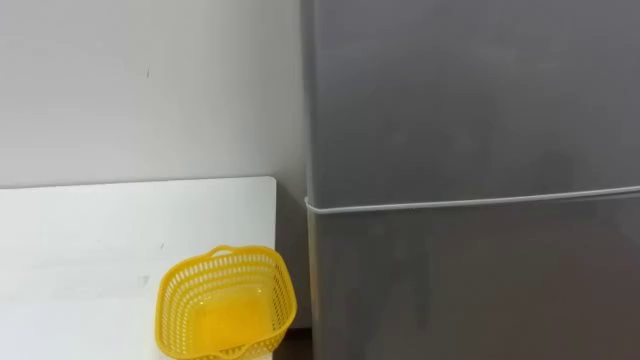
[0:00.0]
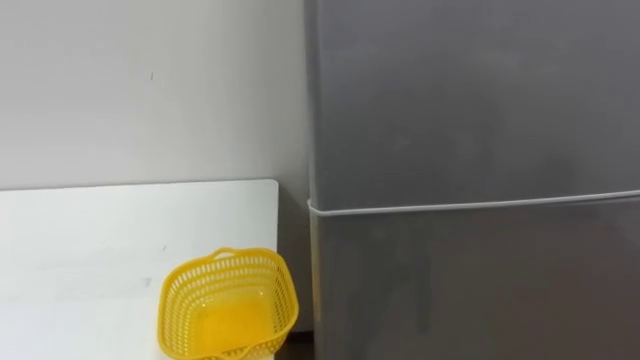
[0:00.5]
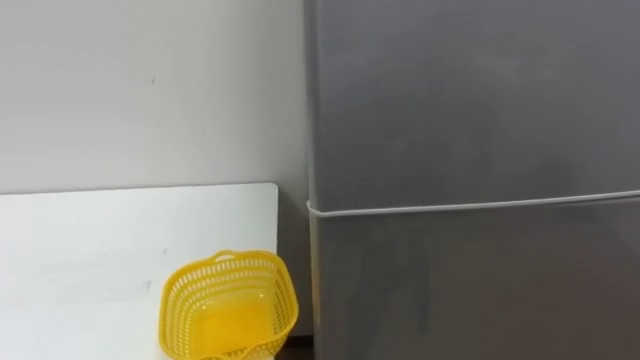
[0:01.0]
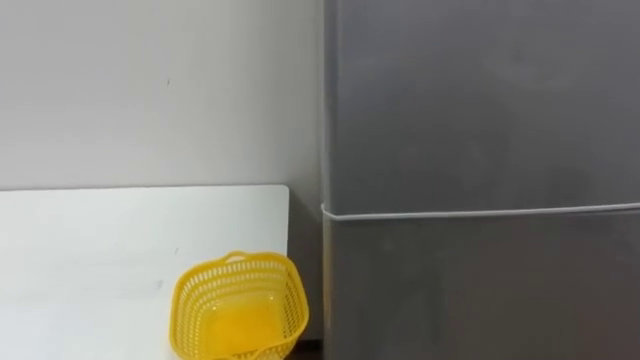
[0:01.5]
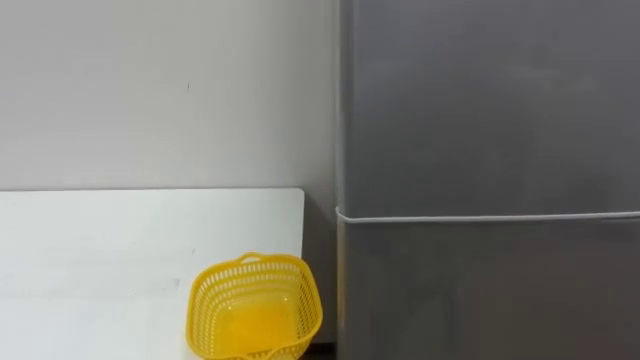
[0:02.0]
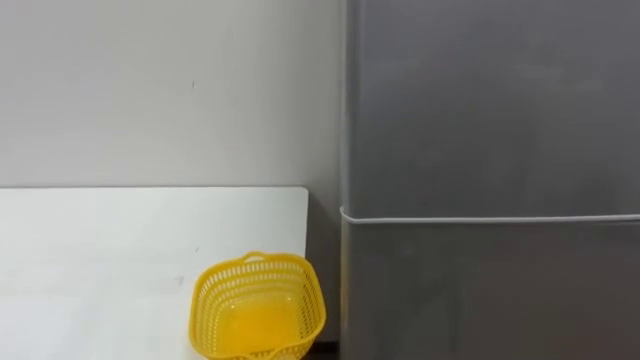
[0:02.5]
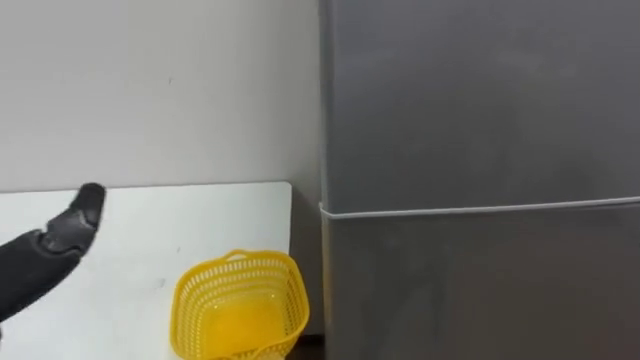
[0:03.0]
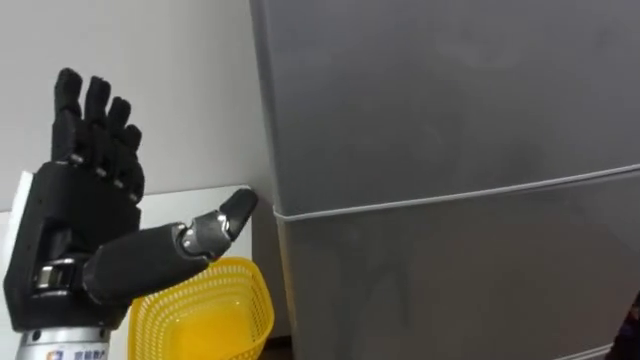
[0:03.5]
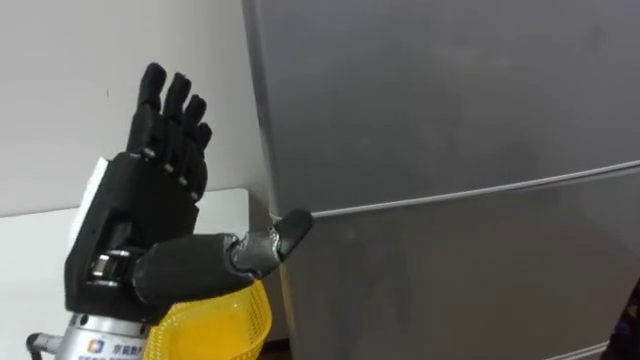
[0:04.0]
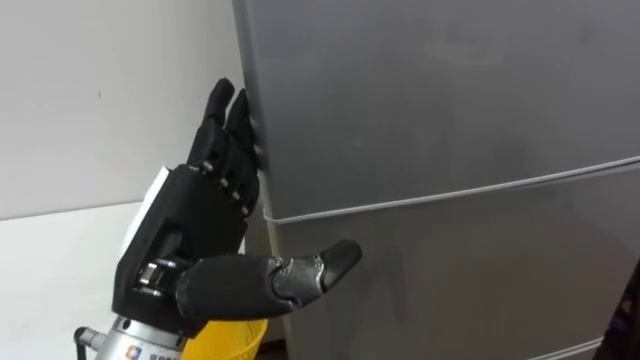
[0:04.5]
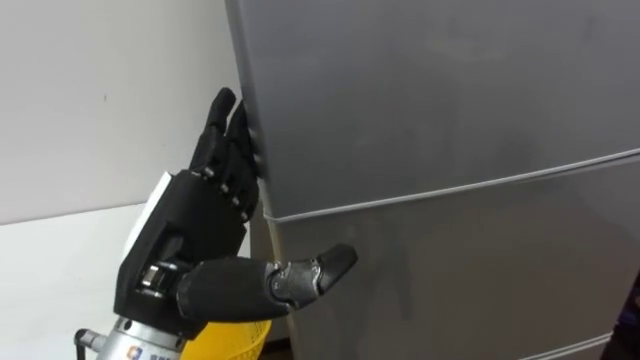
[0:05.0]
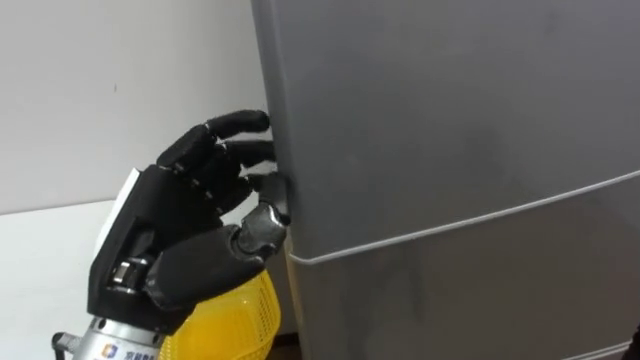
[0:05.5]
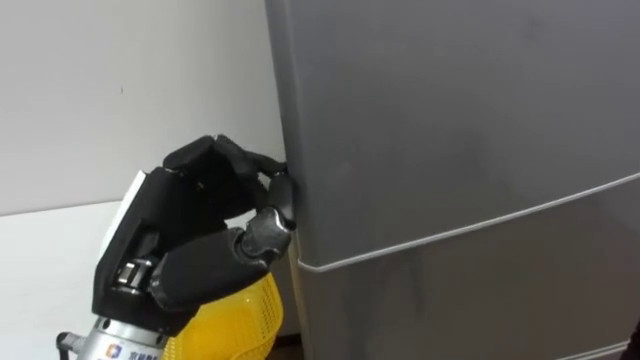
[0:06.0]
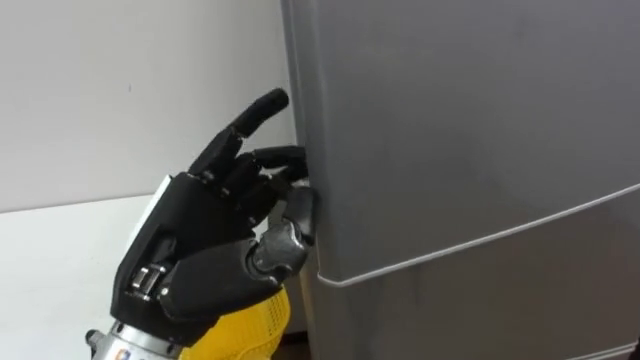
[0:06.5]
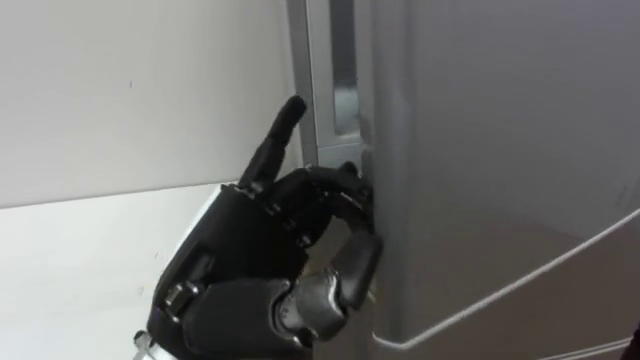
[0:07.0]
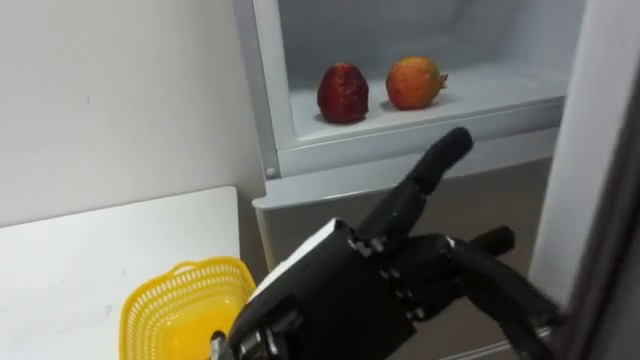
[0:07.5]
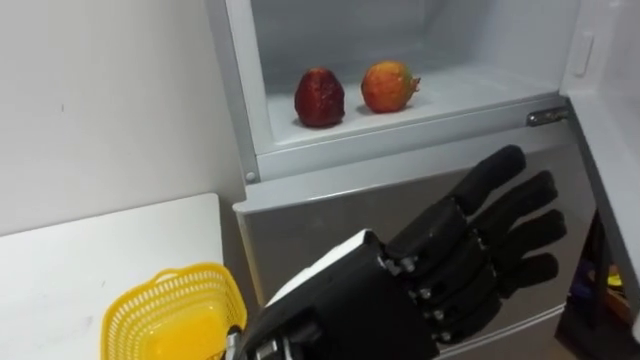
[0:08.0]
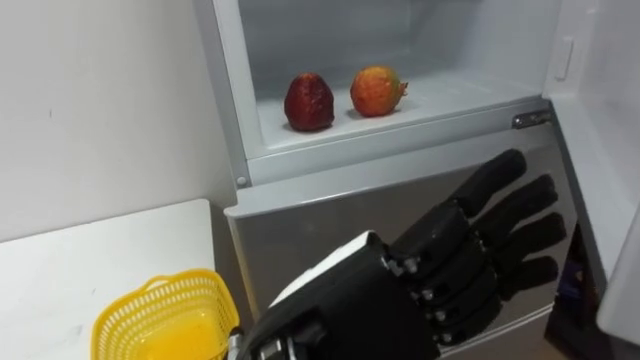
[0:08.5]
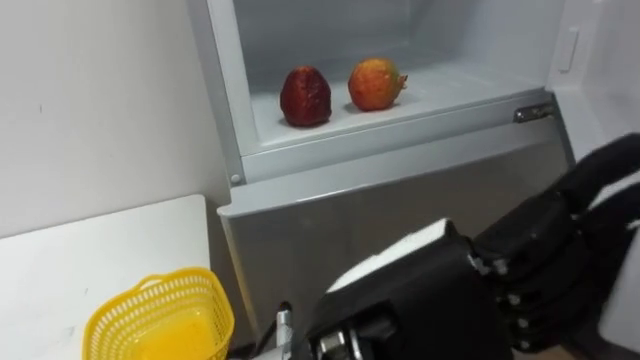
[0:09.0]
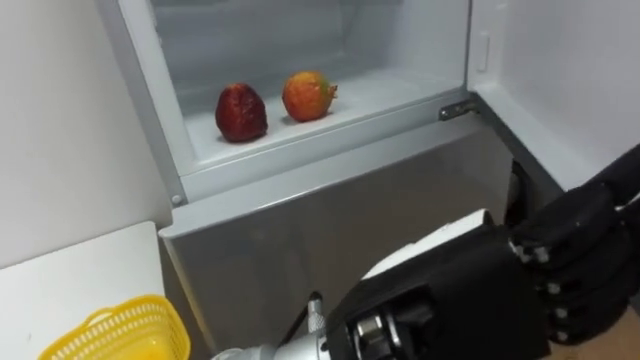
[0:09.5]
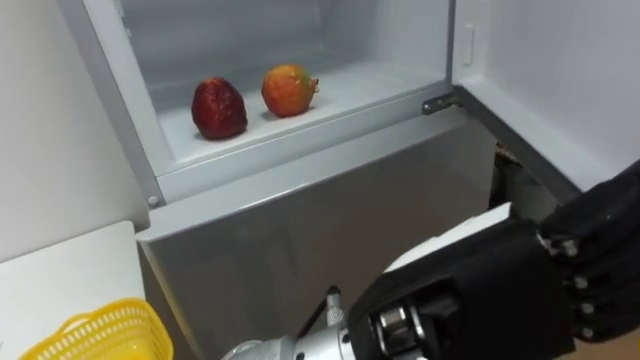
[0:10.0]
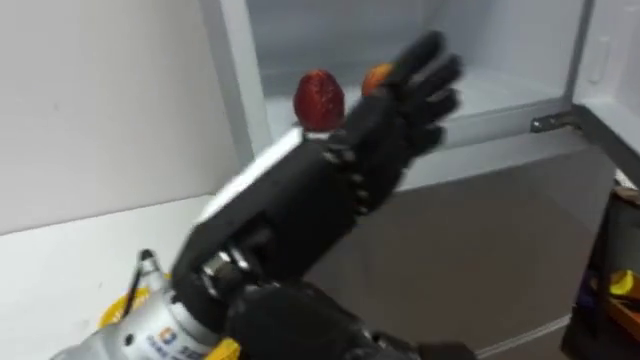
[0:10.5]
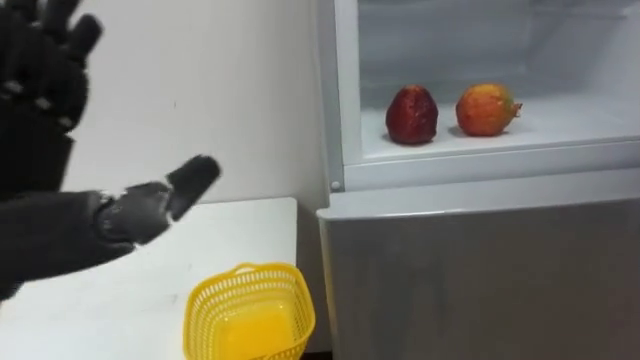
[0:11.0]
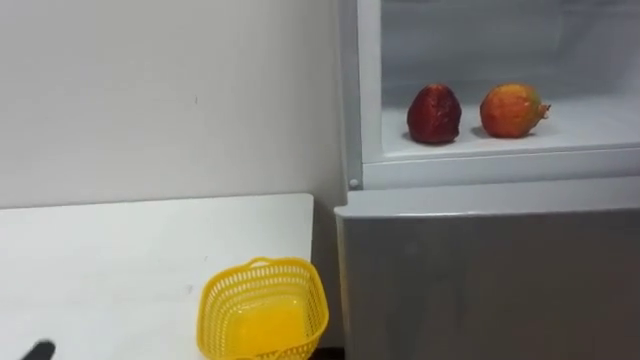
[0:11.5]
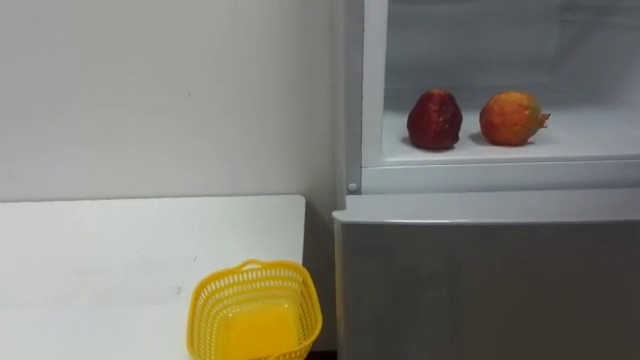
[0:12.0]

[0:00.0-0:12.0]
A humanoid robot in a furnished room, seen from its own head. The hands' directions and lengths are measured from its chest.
Task of the whole recording: Open the refrigerator door, take out the apple and the pomegranate, place them in the fruit basket on the left, and close the refrigerator door.
0:04.0 to 0:06.0: The left hand closes.
0:06.0 to 0:08.0: The left hand shifts approximately 15 cm to the right and backward, and opens up.
0:08.0 to 0:10.0: The left hand heads to the right, covering about 5 cm.

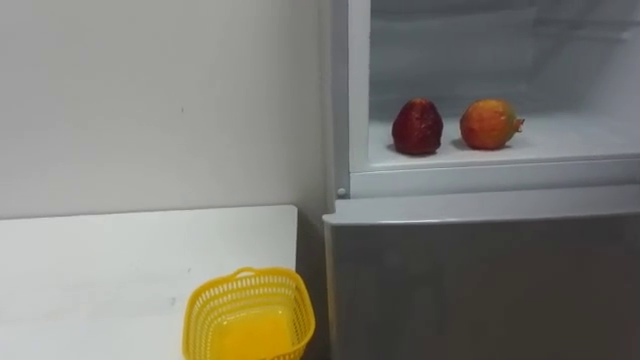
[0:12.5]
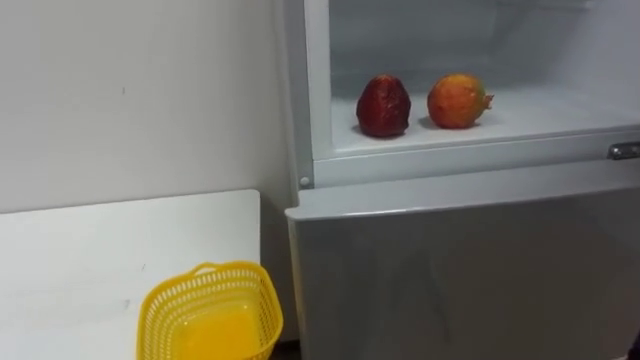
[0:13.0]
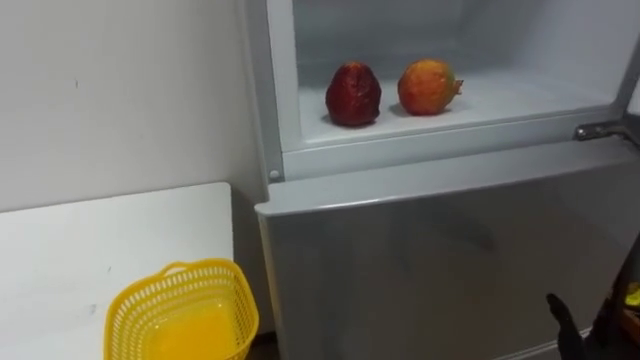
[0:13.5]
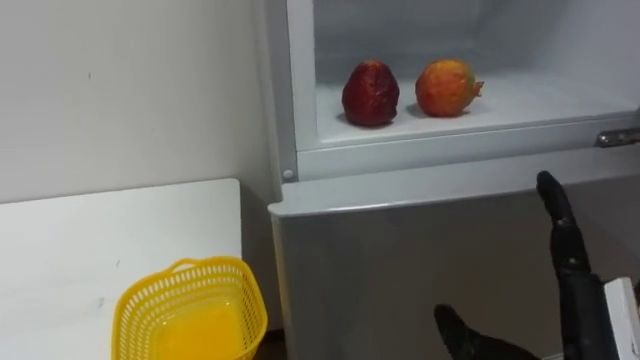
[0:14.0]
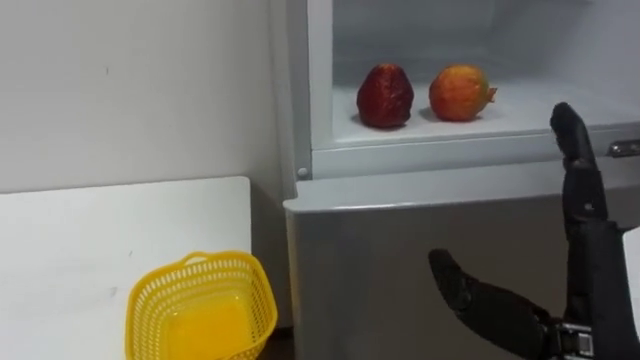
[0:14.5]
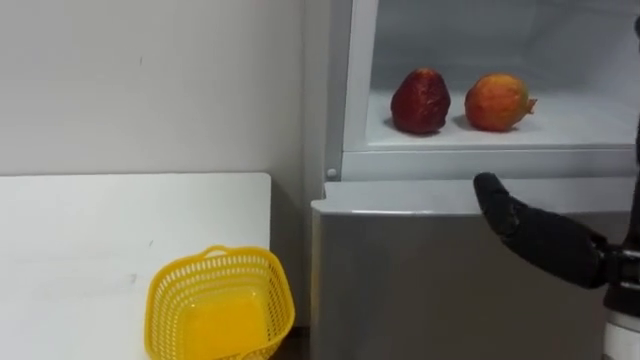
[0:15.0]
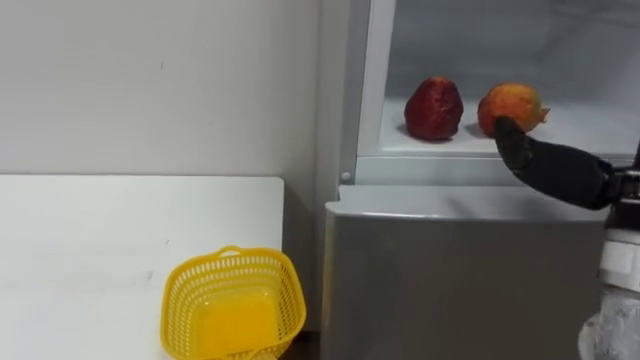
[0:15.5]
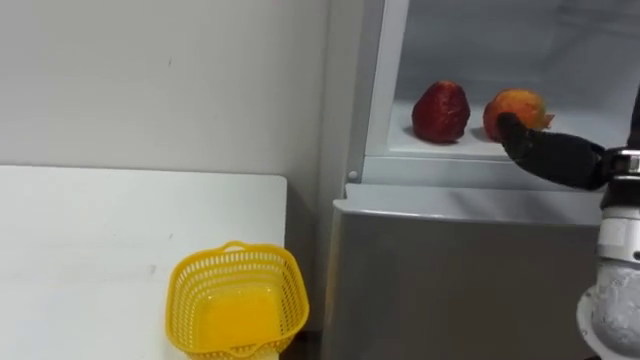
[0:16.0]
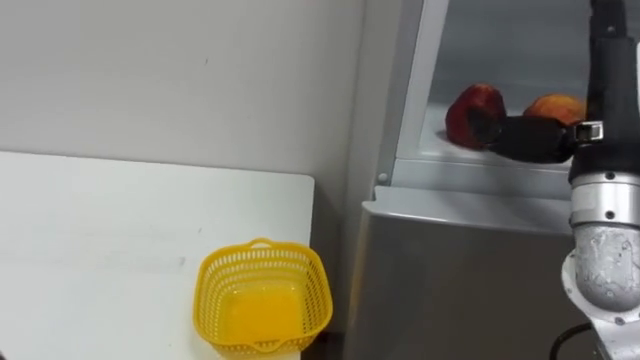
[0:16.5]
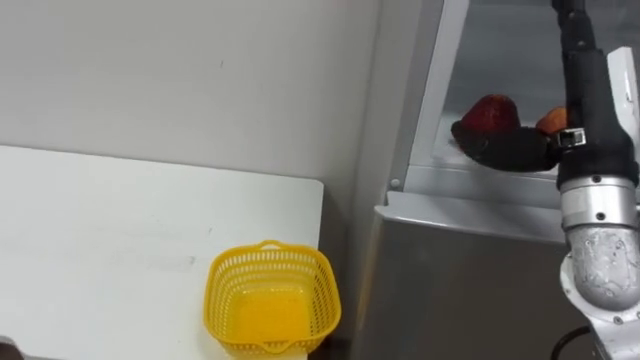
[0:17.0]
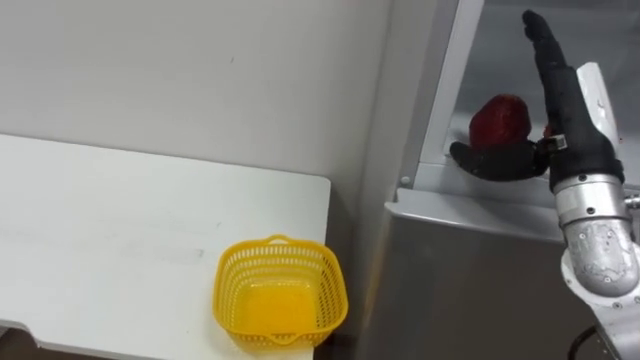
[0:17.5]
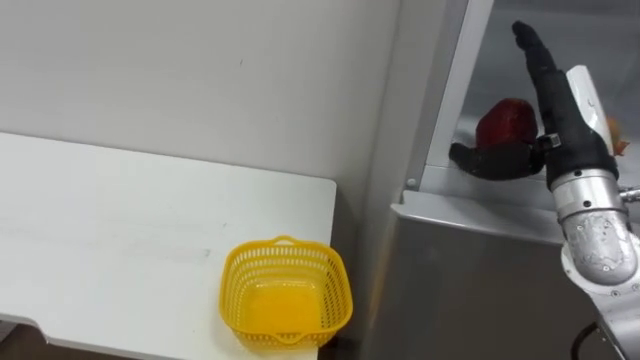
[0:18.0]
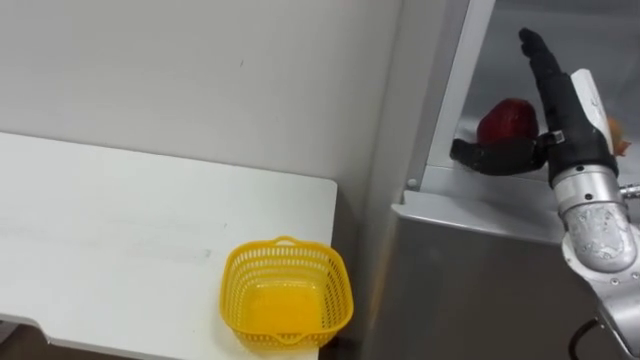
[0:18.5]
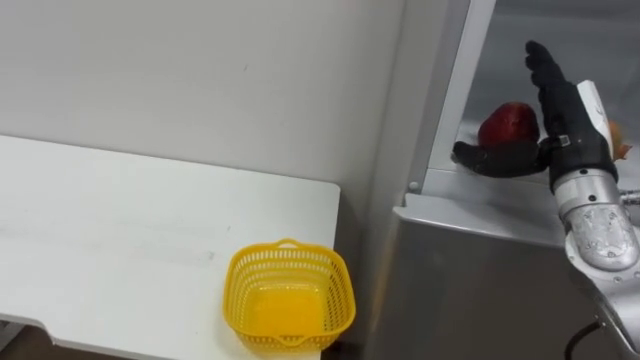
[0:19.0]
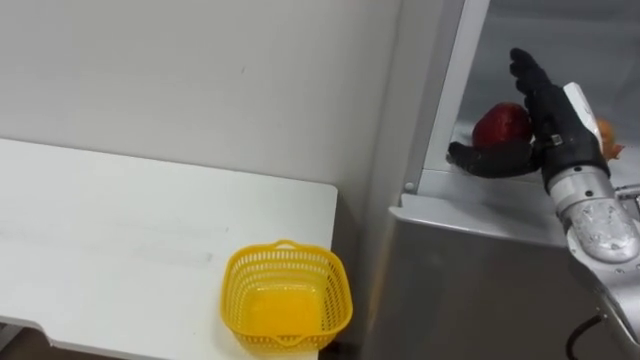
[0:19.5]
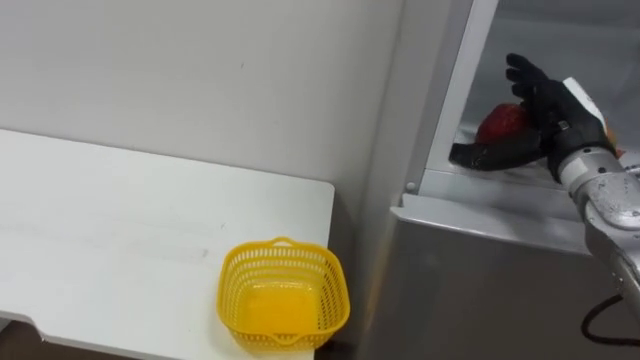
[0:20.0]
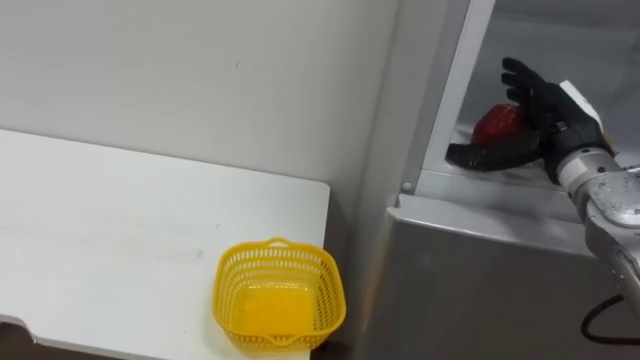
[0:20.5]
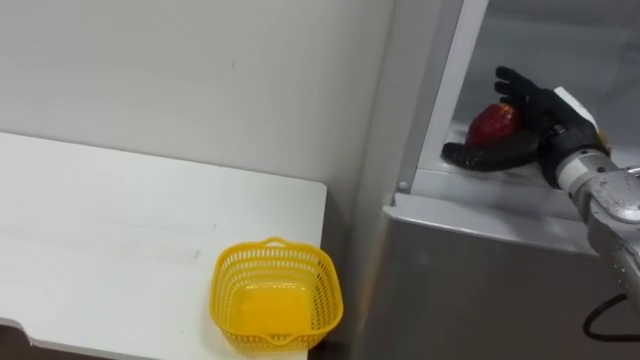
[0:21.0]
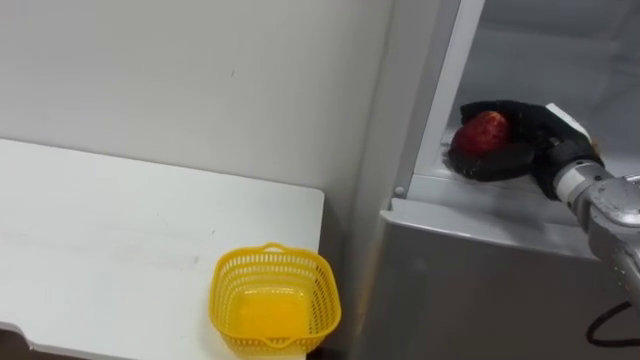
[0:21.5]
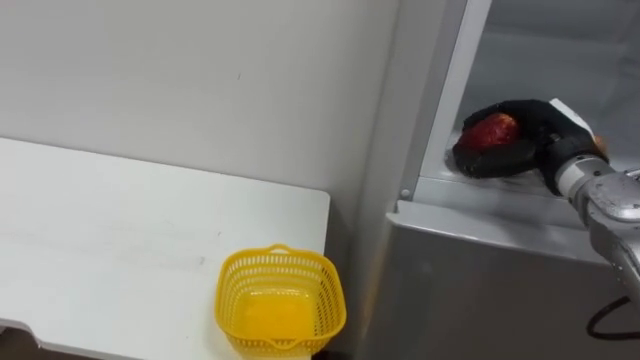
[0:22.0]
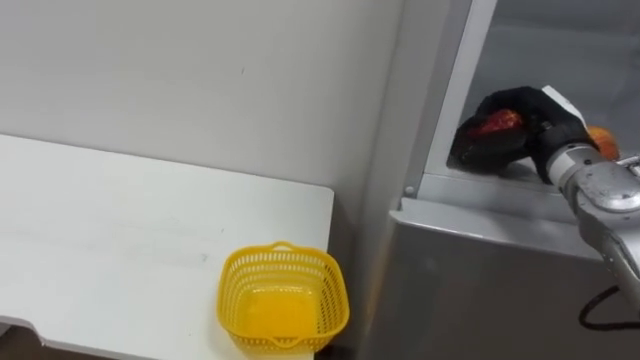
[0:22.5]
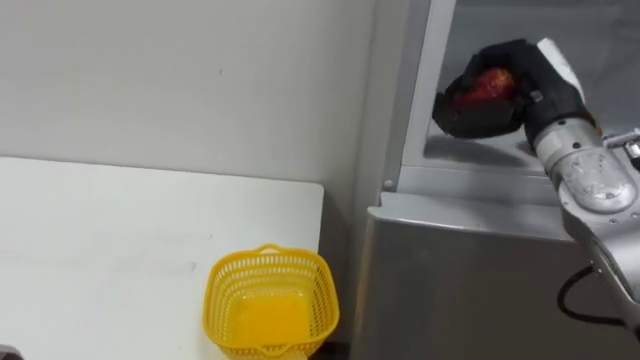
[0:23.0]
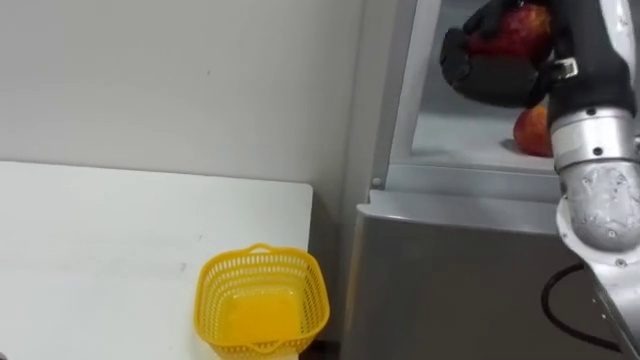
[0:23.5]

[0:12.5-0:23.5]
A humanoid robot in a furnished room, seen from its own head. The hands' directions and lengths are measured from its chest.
Task of the whole recording: Open the refrigerator door, take out the apple and the pomegranate, place them in the fruit basket on the left, and close the refrigerator door.
0:16.0 to 0:18.0: The right hand moves forward, approximately 10 cm.
0:21.5 to 0:23.5: The right hand moves upward, backward and to the left, roughly 15 cm, and closes its fingers.
